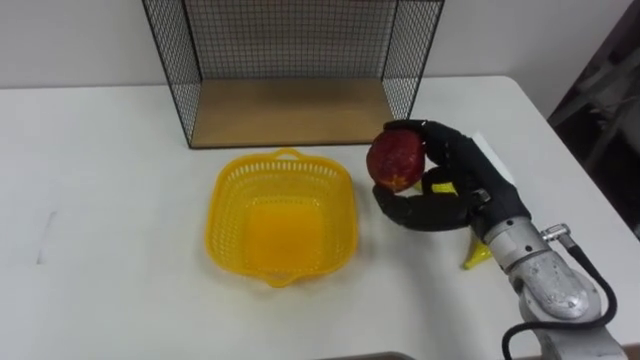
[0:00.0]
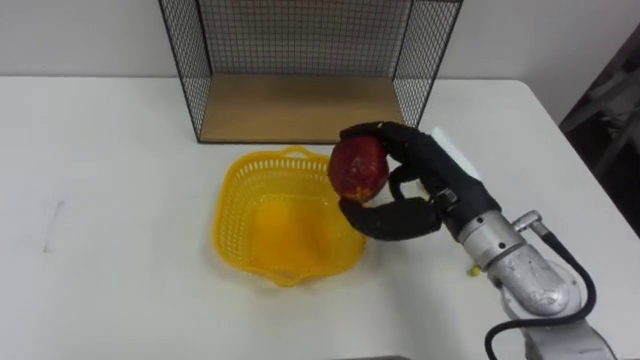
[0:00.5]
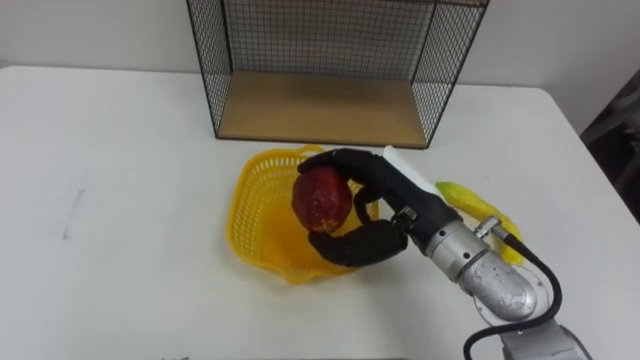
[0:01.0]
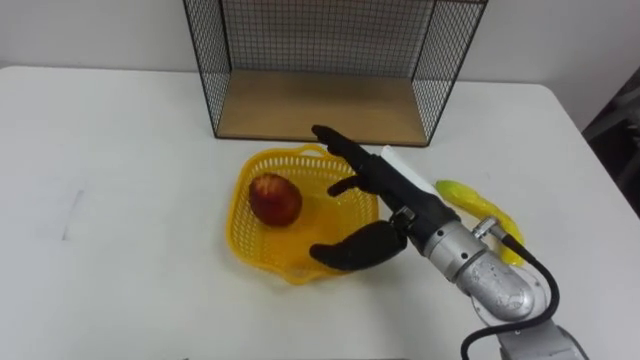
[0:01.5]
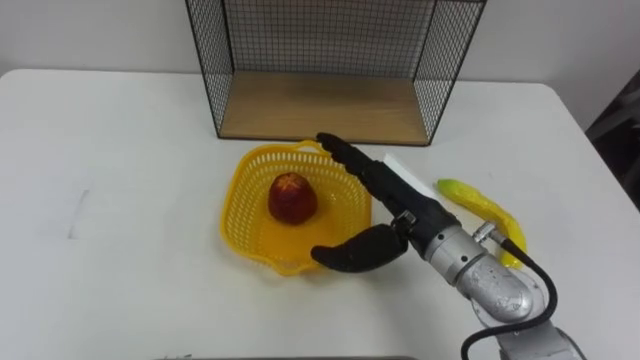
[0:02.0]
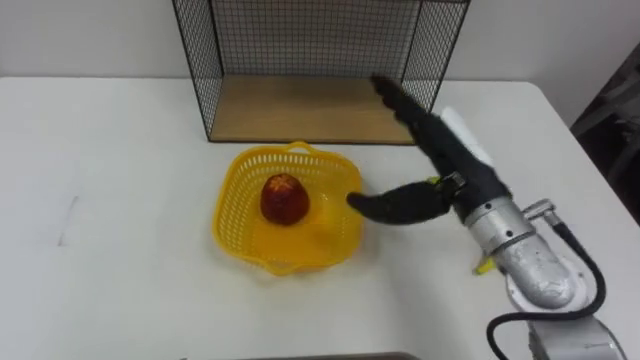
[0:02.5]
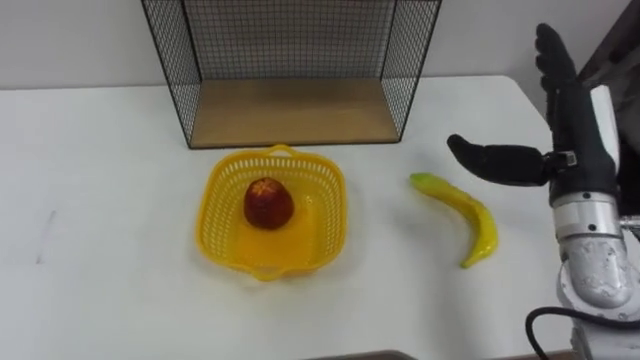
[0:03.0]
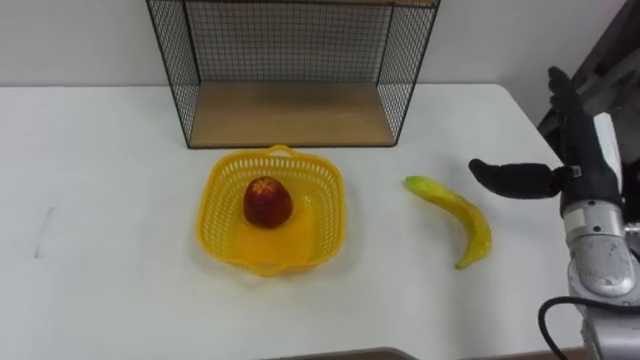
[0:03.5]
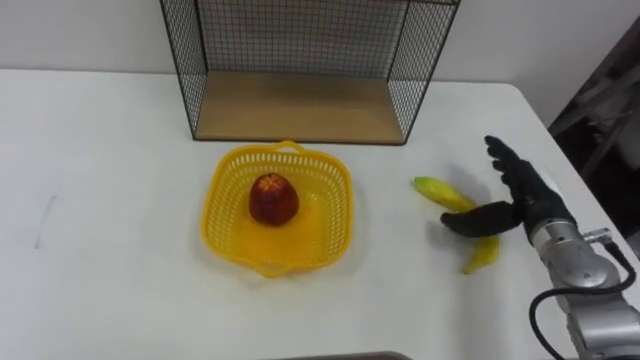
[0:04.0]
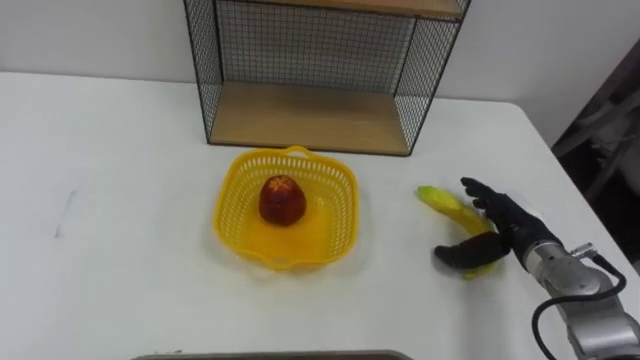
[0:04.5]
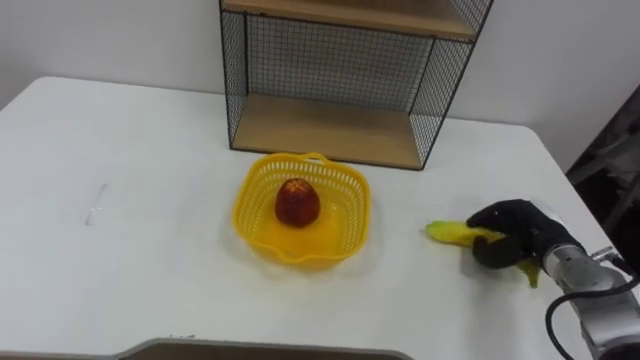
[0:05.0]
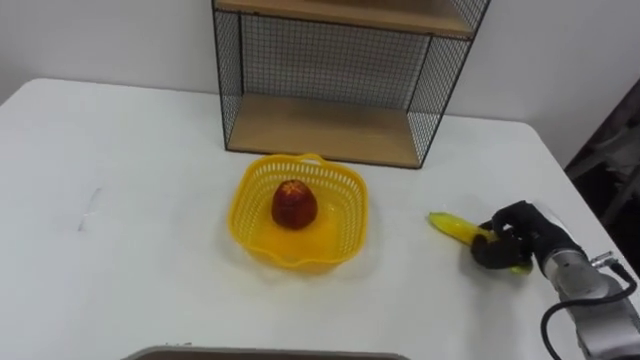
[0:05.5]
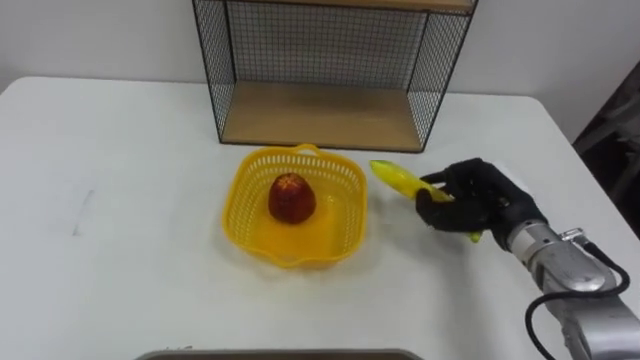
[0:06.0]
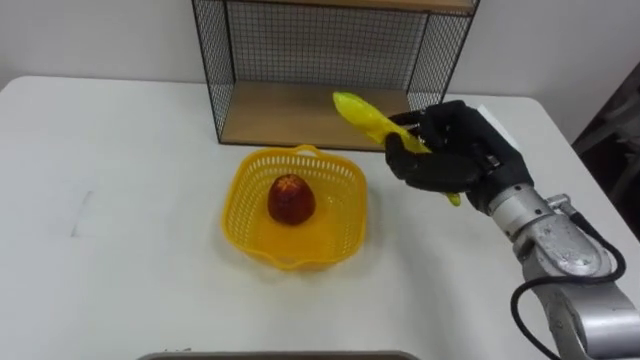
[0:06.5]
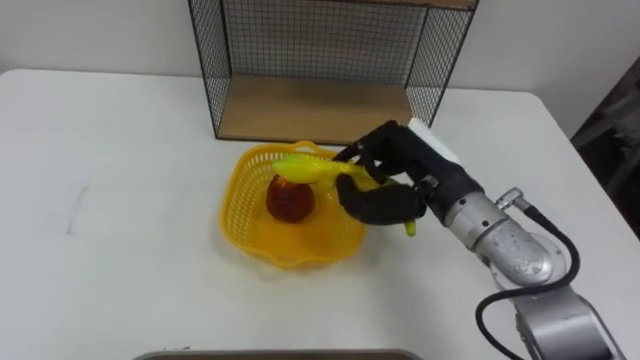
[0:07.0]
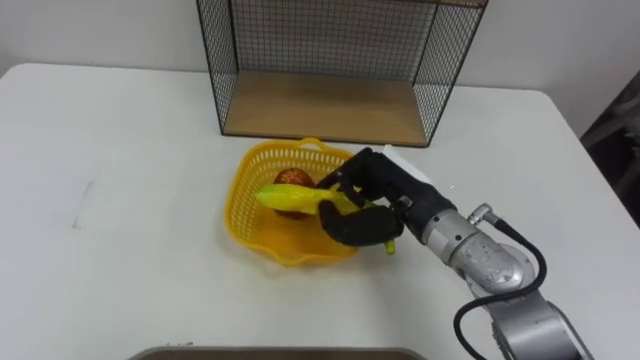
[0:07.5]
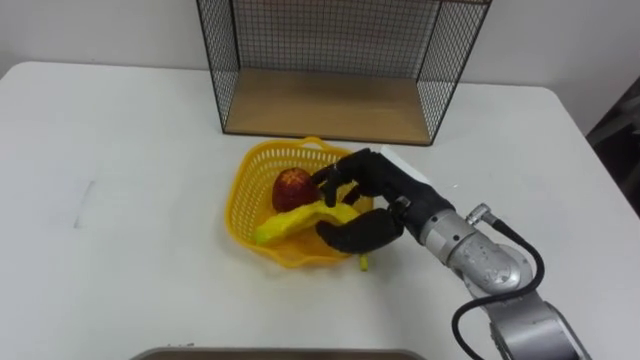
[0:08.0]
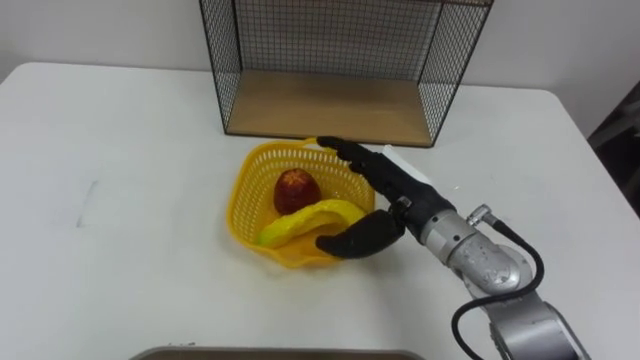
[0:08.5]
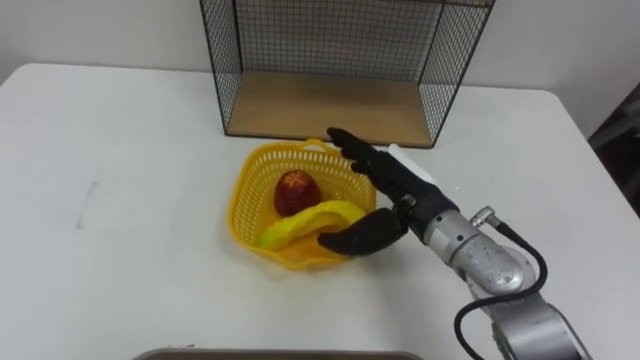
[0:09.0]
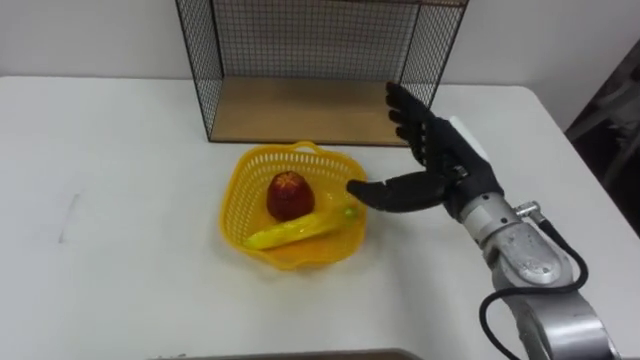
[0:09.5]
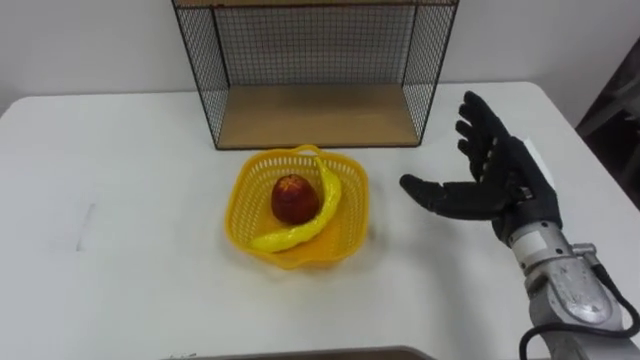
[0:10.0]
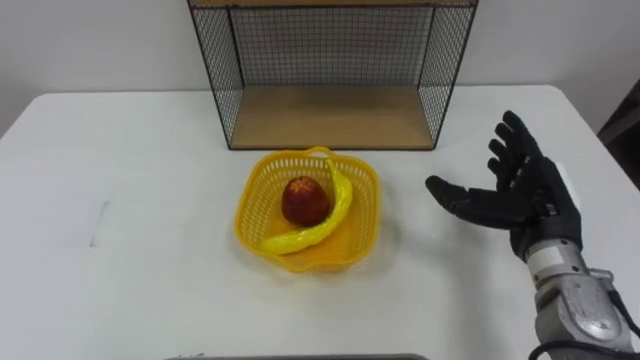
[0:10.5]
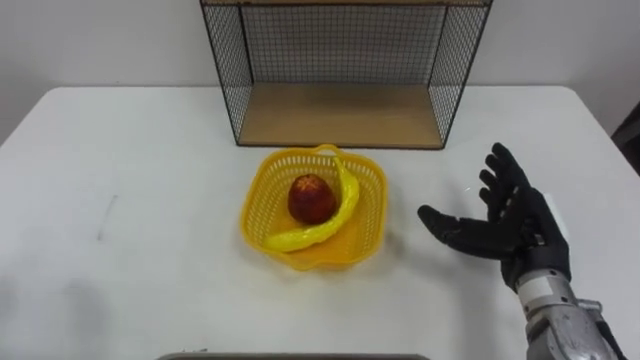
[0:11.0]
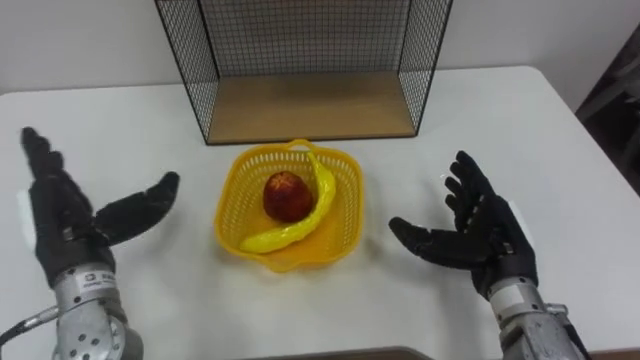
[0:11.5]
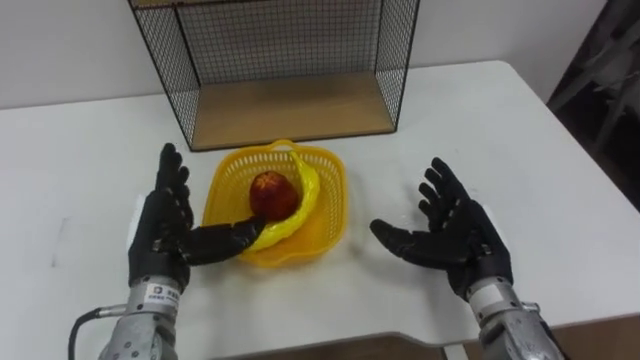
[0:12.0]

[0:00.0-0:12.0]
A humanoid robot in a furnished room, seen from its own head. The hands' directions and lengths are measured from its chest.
Task of the whole recording: Put the fruit on the table into the basket, then place the basket on the shelf.
0:00.0 to 0:02.0: The right hand heads to the left, covering roughly 10 cm, and opens.
0:02.0 to 0:04.0: The right hand goes about 20 cm to the right.
0:04.0 to 0:06.0: The right hand reaches roughly 10 cm downward, then returns, and closes its fingers.
0:06.0 to 0:08.0: The right hand is displaced to the left and upward by roughly 15 cm.
0:08.0 to 0:10.0: The right hand heads to the right, covering roughly 10 cm, and opens up.
0:10.0 to 0:12.0: The right hand heads downward, covering approximately 10 cm.

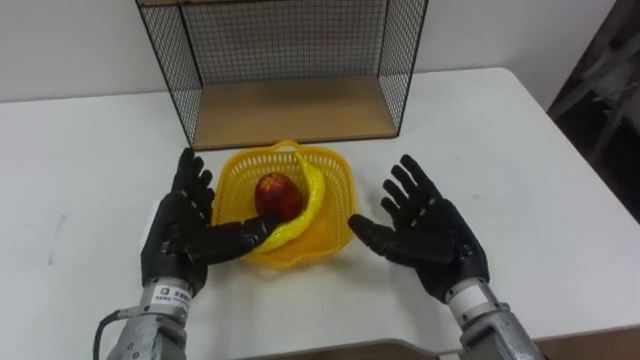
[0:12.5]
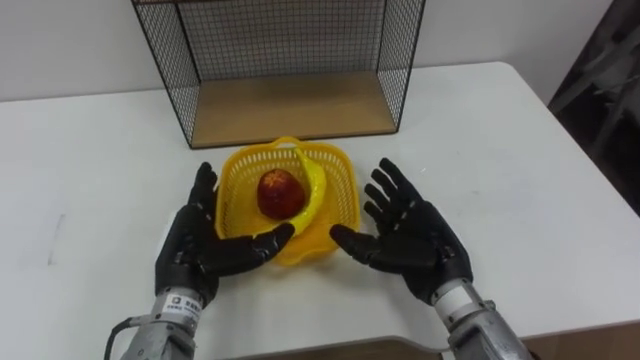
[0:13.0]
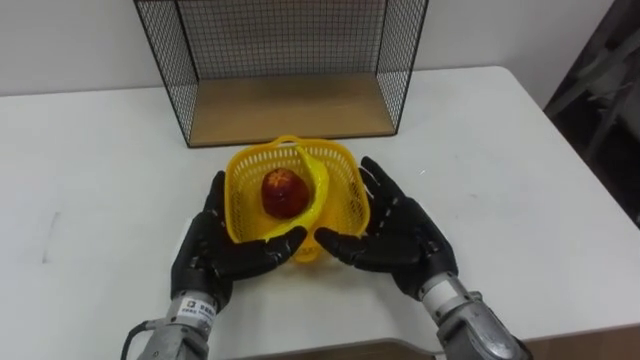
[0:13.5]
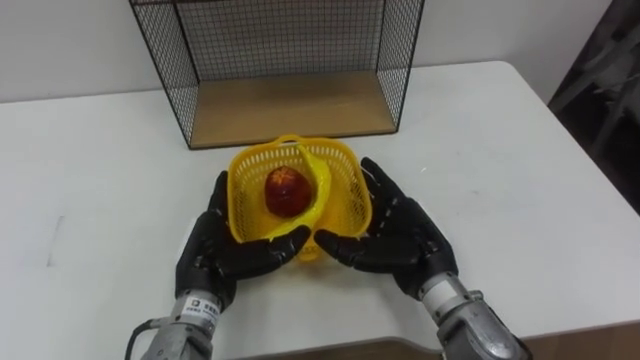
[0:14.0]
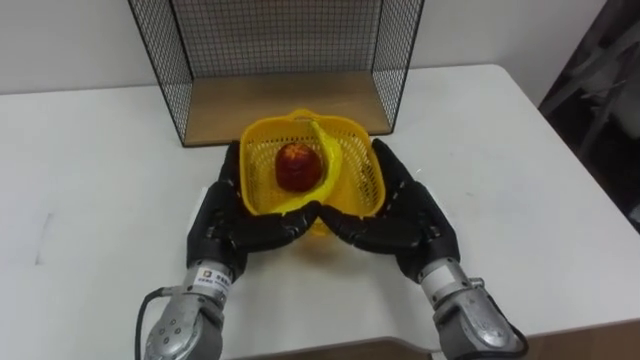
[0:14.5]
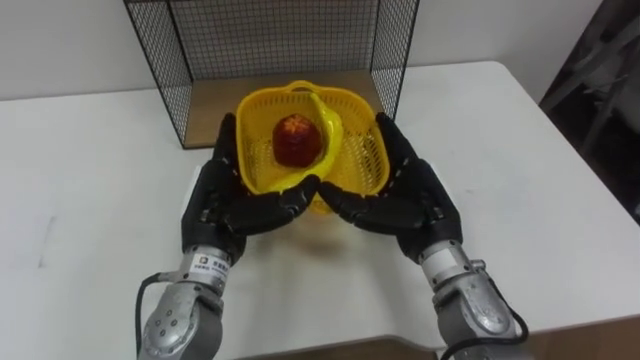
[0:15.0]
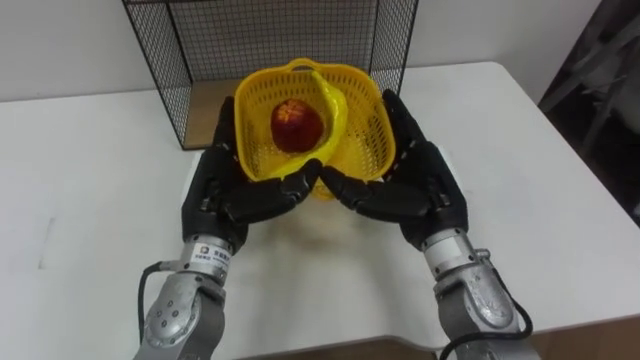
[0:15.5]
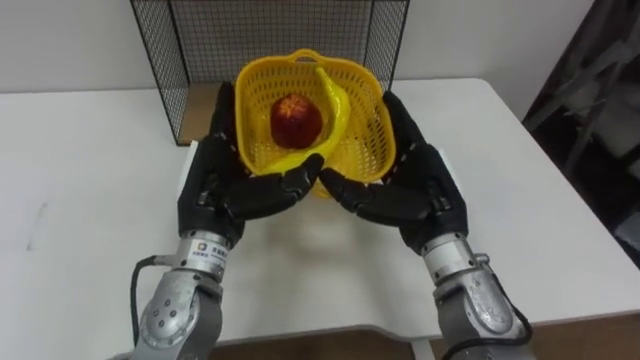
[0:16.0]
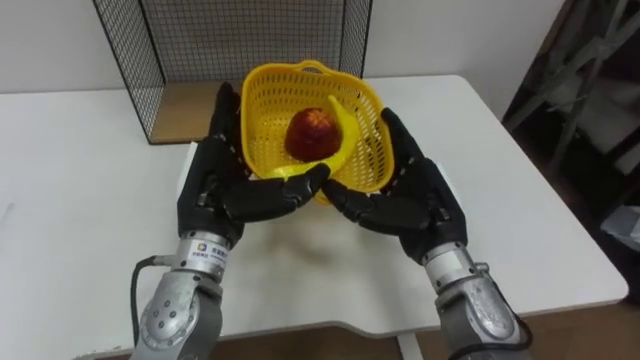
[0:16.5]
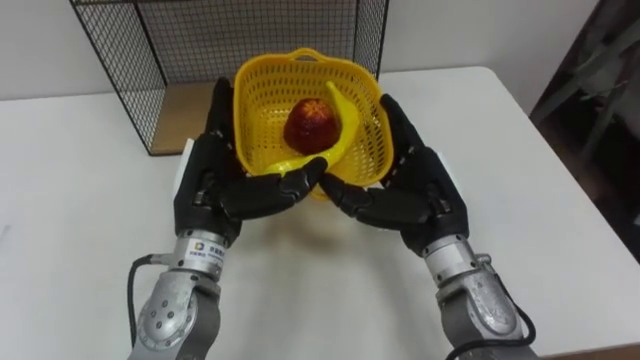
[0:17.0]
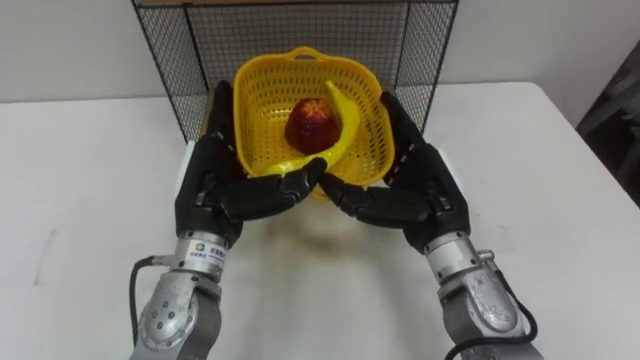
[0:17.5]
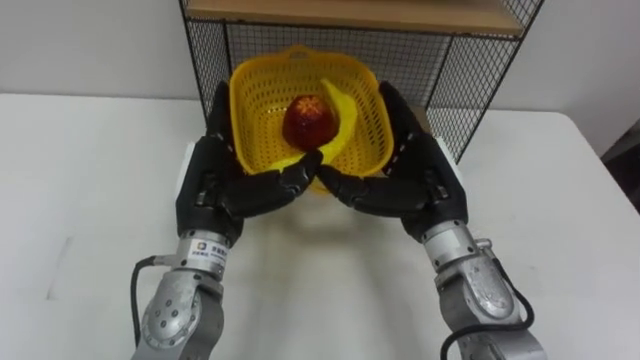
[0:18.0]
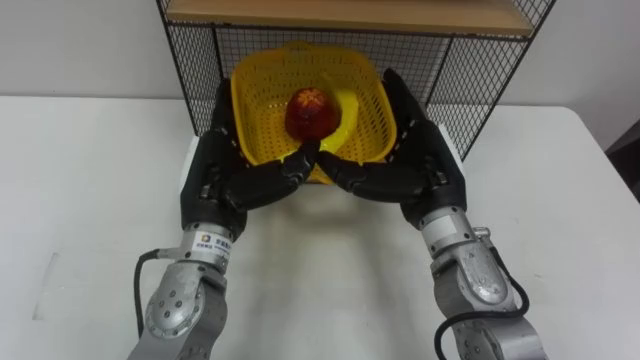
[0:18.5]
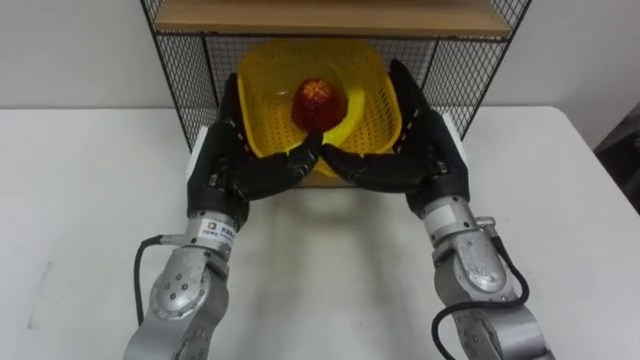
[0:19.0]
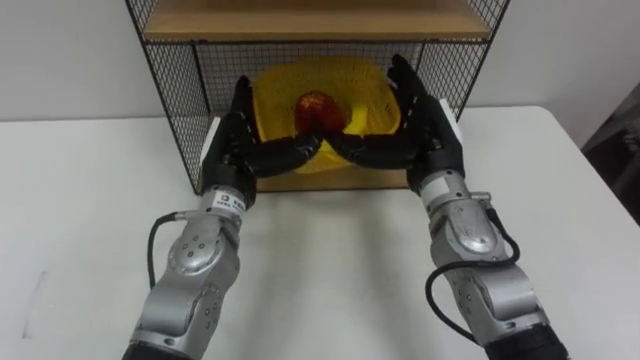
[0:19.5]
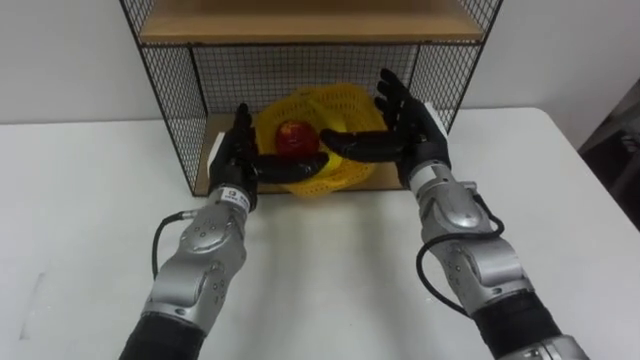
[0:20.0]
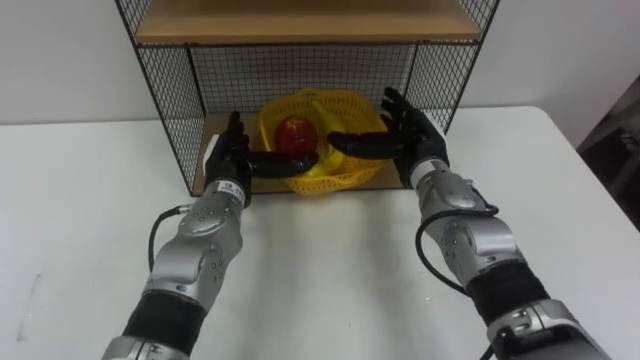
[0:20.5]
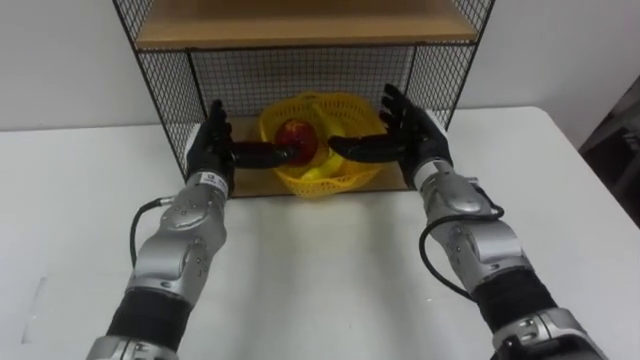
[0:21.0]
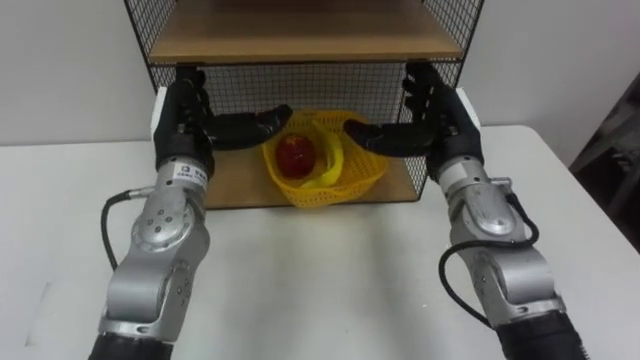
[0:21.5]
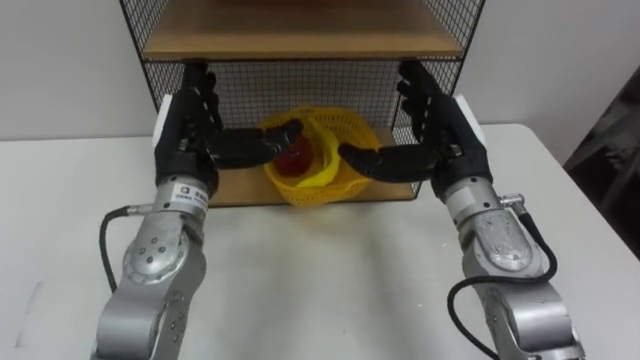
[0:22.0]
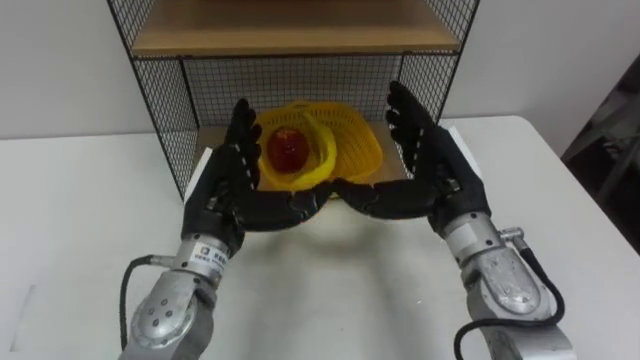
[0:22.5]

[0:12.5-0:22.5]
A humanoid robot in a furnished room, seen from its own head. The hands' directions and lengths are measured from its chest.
Task of the whole recording: Put the fruit on the table into the basket, then place the basket on the shelf.
0:12.5 to 0:14.5: The left hand shifts roughly 5 cm to the right.
0:14.5 to 0:16.5: The left hand is displaced upward by approximately 5 cm.
0:18.5 to 0:20.5: Both hands move forward and downward, approximately 10 cm.
0:20.5 to 0:22.5: The hands both shift backward and upward by roughly 10 cm.
